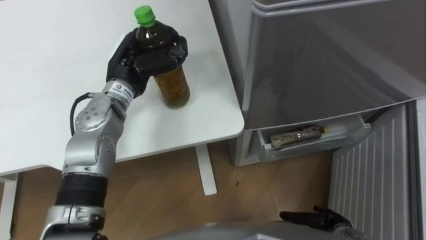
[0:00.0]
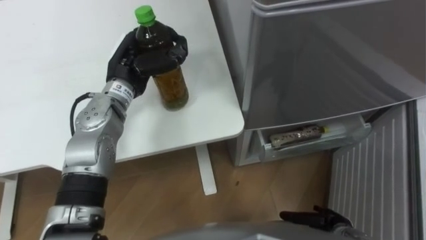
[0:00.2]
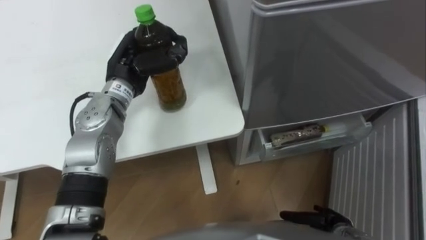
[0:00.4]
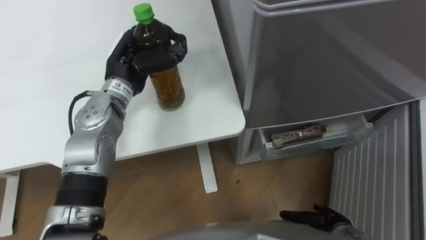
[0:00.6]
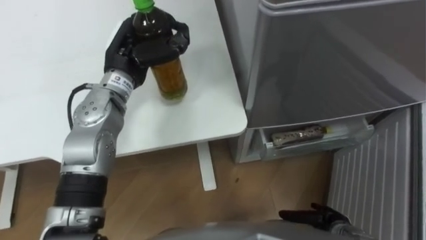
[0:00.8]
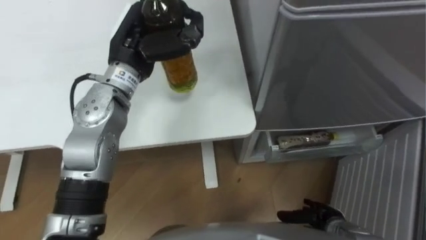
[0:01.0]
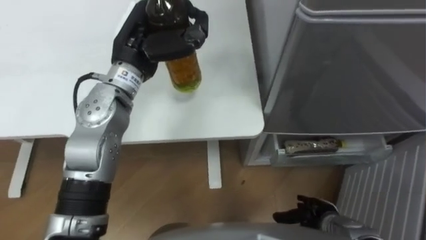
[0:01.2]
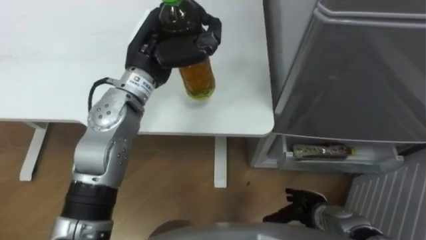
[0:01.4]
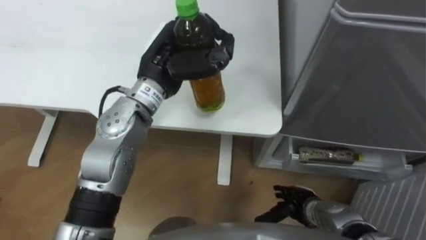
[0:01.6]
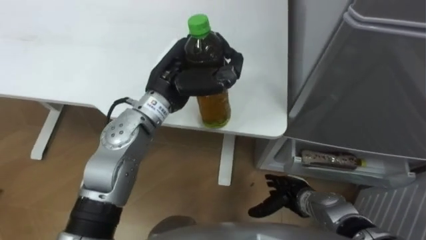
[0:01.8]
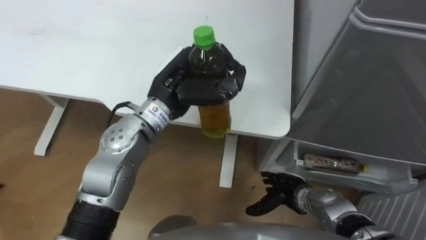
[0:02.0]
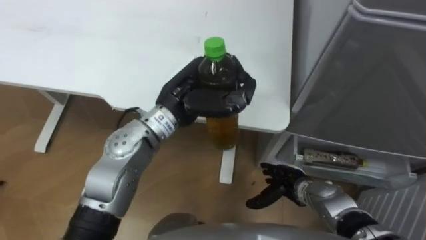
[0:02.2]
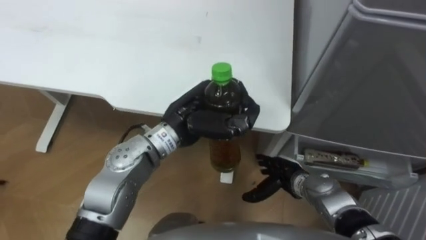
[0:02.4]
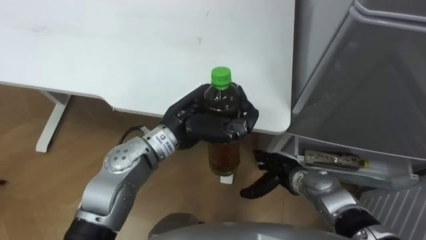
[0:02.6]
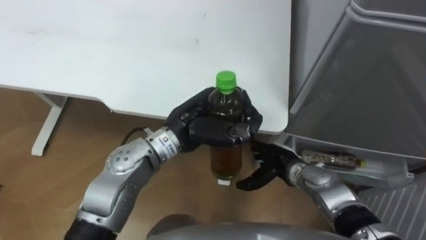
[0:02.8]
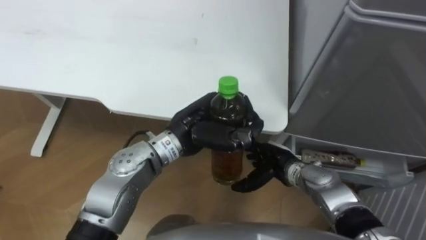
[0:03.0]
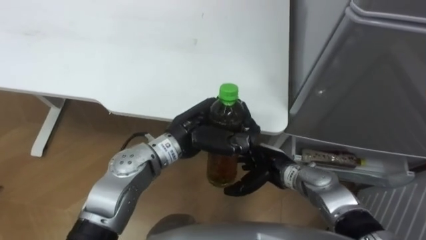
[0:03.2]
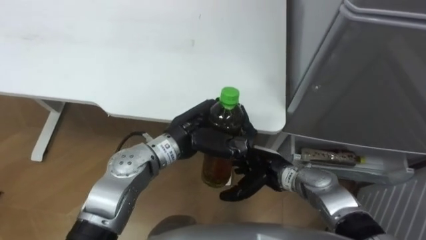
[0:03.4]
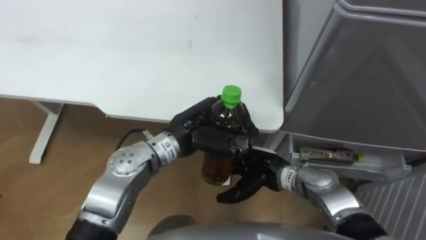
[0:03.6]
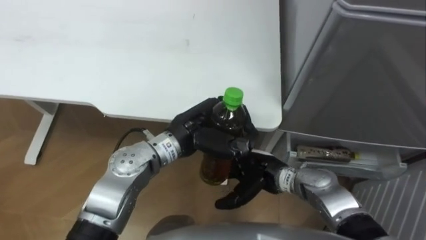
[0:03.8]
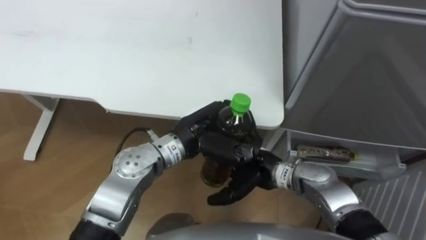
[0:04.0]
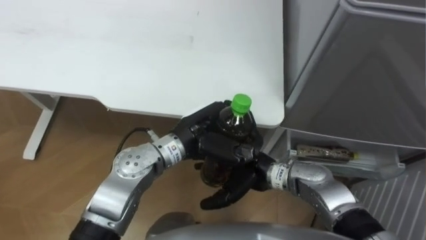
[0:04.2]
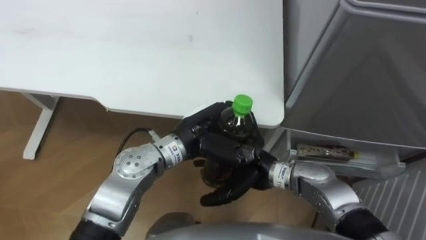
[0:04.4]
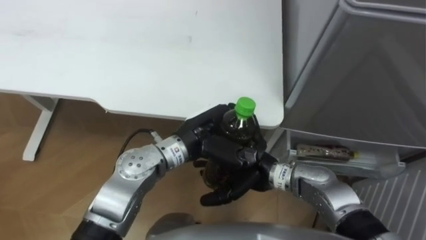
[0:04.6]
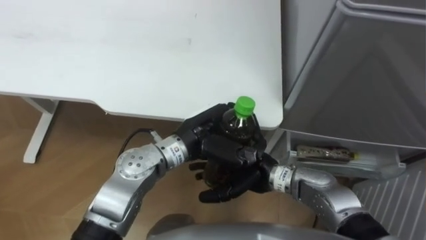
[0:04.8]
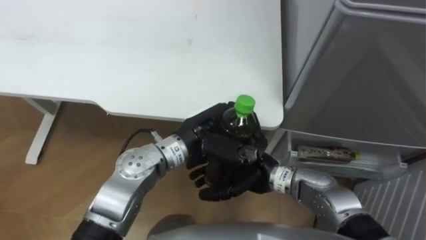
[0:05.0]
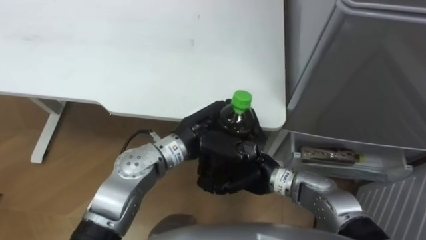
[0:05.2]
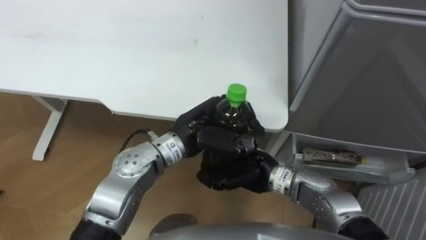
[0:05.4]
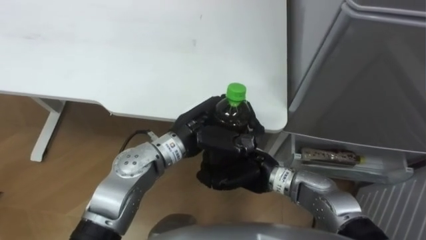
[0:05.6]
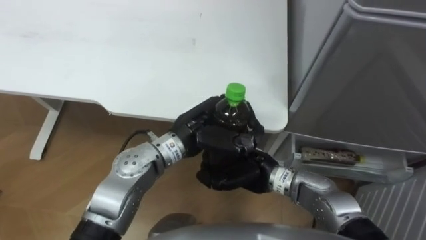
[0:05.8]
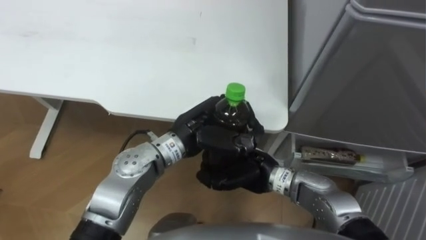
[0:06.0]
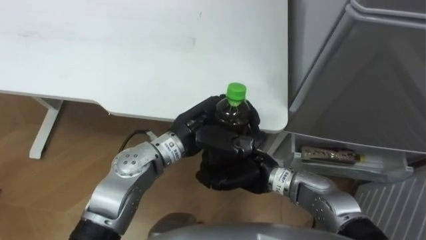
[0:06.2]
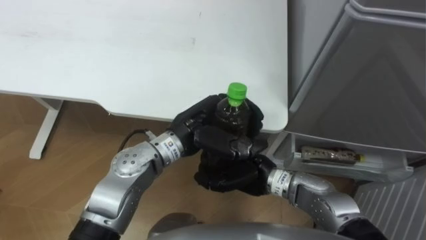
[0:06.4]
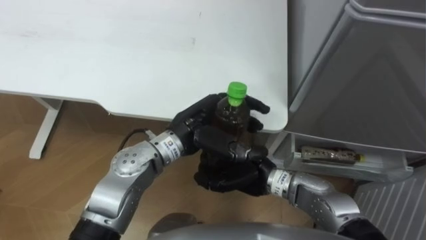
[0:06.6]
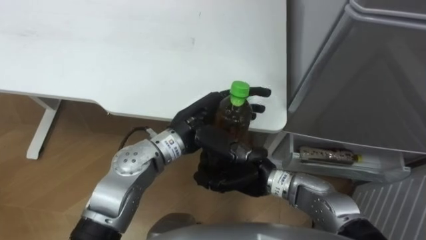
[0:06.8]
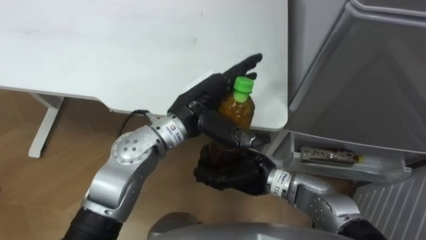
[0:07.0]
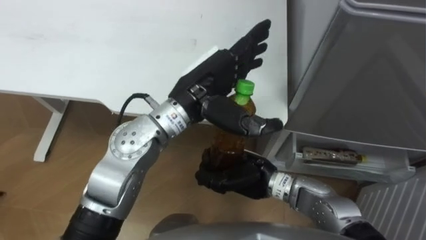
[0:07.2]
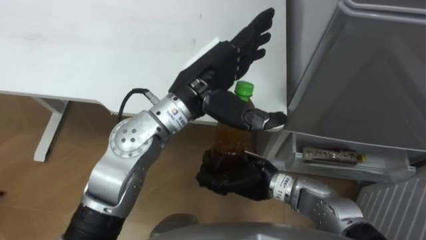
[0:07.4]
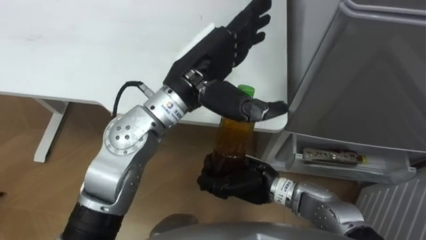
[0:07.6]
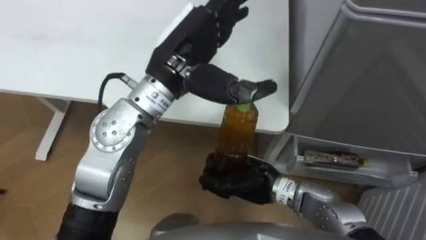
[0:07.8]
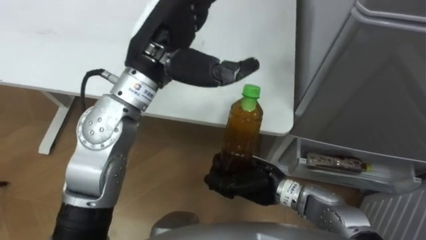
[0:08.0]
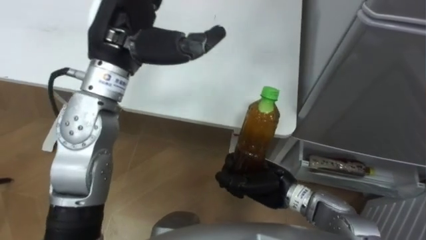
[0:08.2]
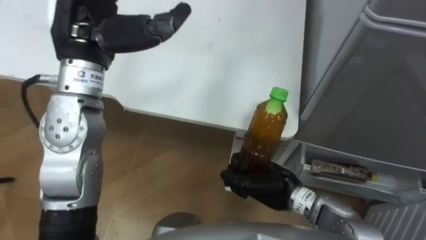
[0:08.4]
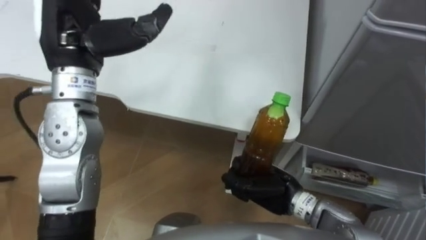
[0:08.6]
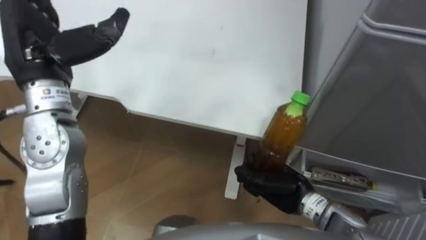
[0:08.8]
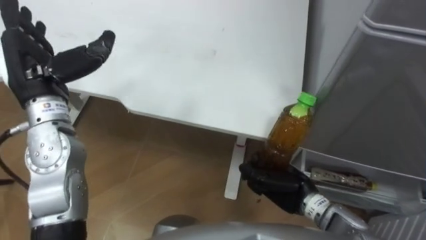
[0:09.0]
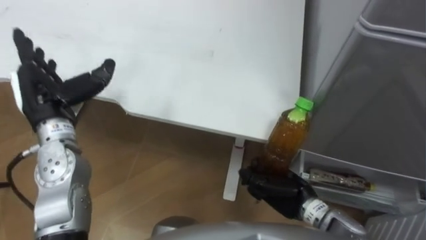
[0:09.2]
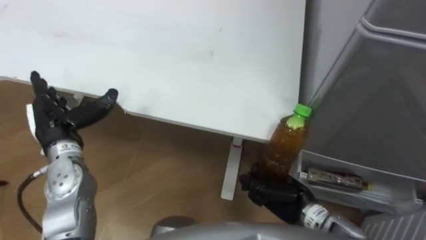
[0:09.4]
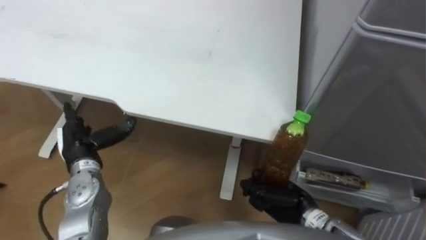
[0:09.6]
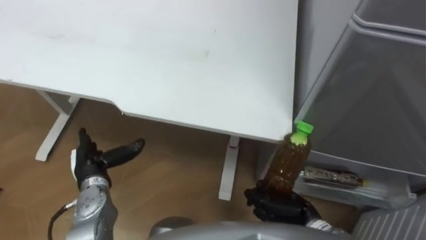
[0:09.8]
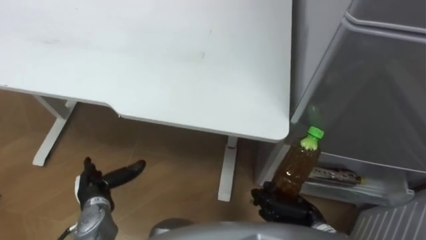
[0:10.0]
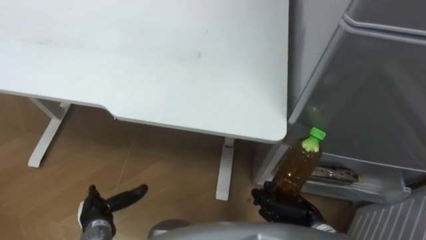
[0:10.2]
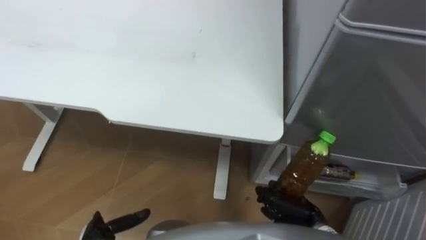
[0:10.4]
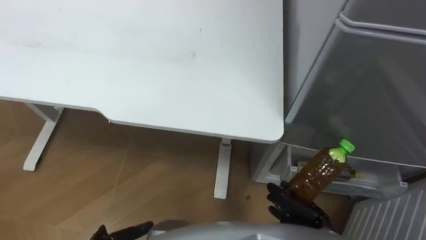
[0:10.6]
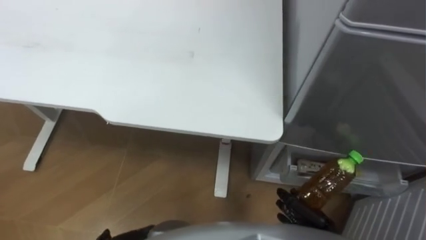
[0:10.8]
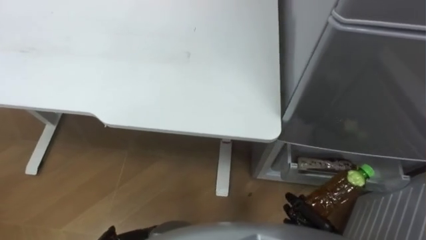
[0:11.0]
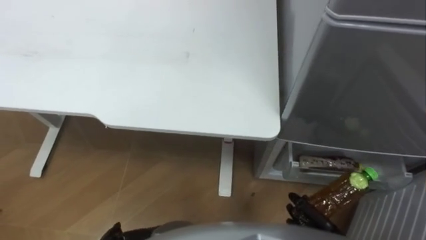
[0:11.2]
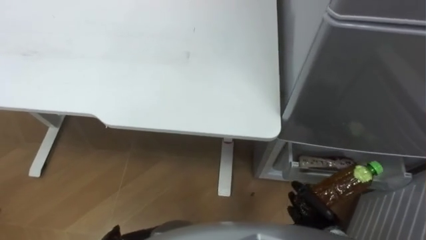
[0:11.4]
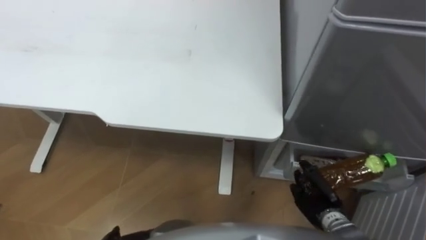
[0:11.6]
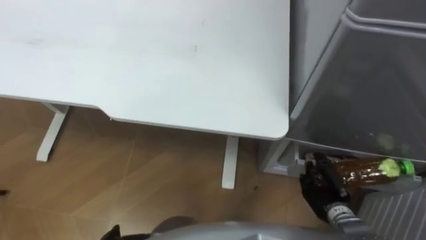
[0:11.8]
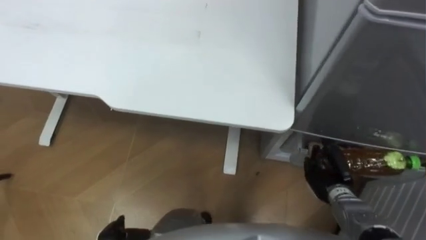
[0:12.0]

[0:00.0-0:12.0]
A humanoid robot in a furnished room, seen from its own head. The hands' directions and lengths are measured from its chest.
Task of the whole recording: Place the drink on the table on the bottom shelf of the refrigerator, then close the drawer and the refrigerator door.
0:00.0 to 0:01.6: The right hand shifts roughly 10 cm to the left and forward. The left hand moves to the right, some 5 cm.
0:01.6 to 0:03.0: The left hand travels backward and downward by roughly 10 cm; the right hand moves forward, upward and to the left, approximately 10 cm.
0:03.0 to 0:04.4: The right hand is displaced to the left and upward by approximately 10 cm.
0:04.4 to 0:06.0: The right hand closes.
0:06.0 to 0:07.6: The left hand heads upward, covering roughly 10 cm, and opens up.
0:07.6 to 0:09.0: The left hand is displaced to the left by roughly 25 cm. Meanwhile the right hand travels to the right by about 10 cm.
0:09.0 to 0:10.4: The left hand travels downward and backward by roughly 40 cm. The right hand shifts roughly 10 cm backward and downward.
0:10.4 to 0:12.0: The right hand heads to the right and forward, covering about 10 cm.

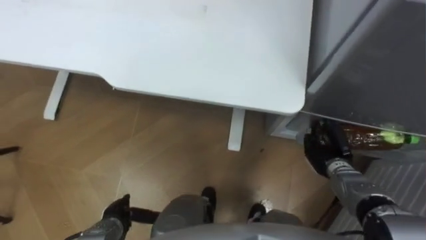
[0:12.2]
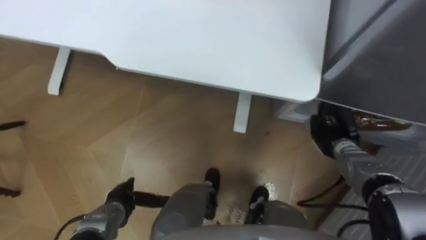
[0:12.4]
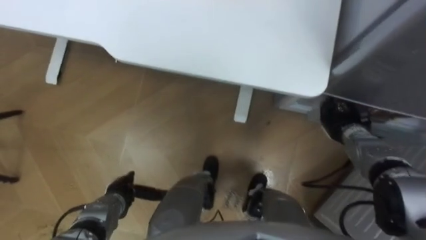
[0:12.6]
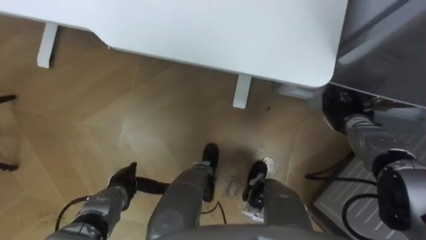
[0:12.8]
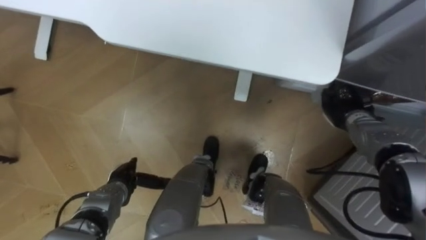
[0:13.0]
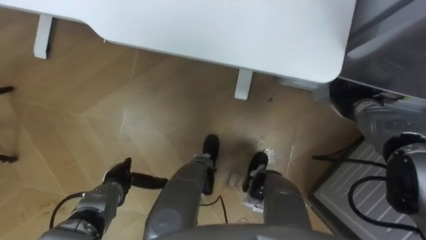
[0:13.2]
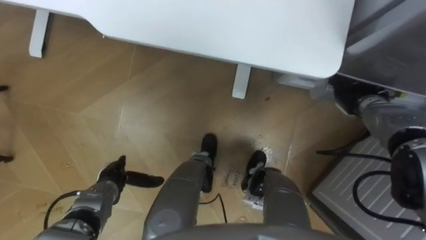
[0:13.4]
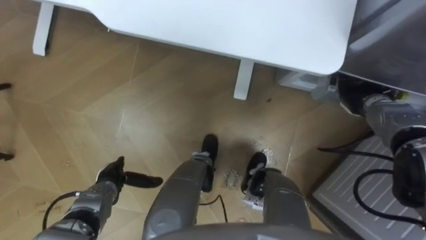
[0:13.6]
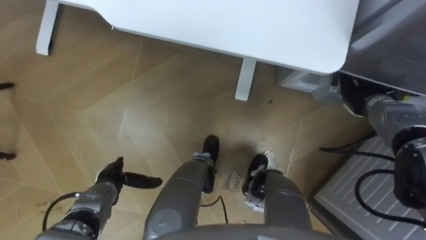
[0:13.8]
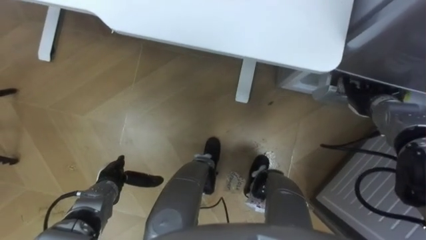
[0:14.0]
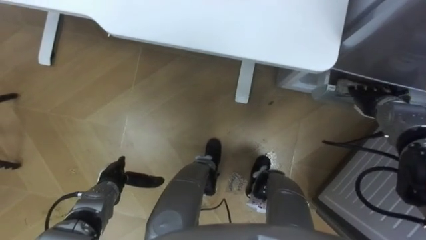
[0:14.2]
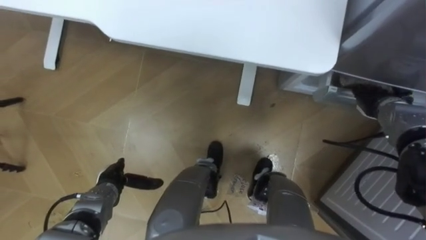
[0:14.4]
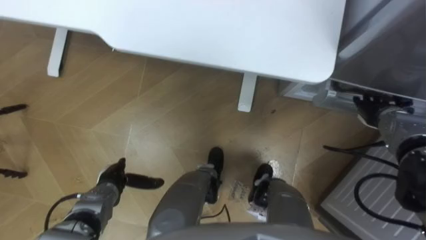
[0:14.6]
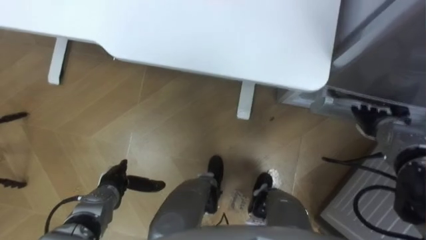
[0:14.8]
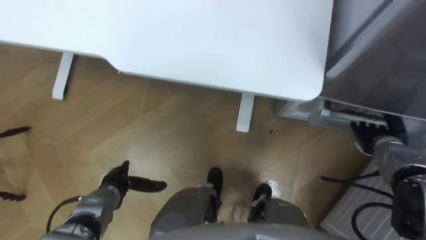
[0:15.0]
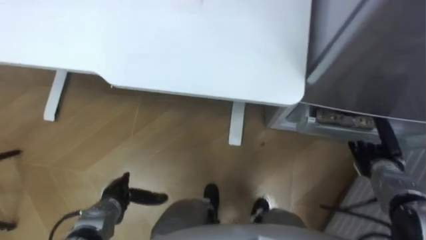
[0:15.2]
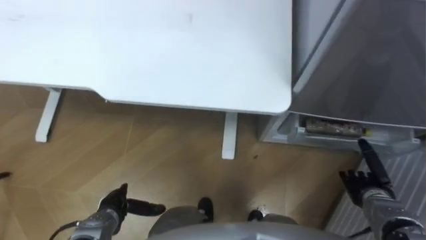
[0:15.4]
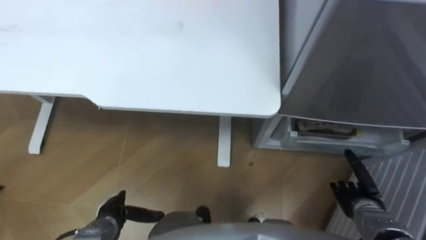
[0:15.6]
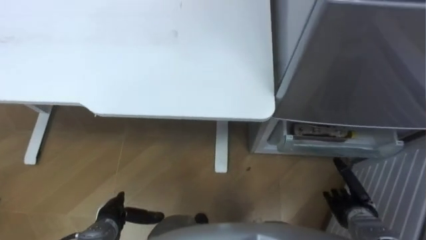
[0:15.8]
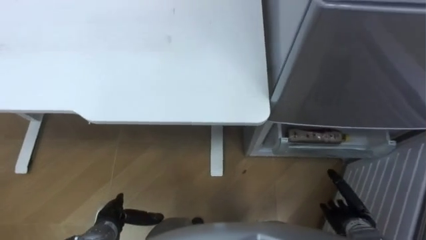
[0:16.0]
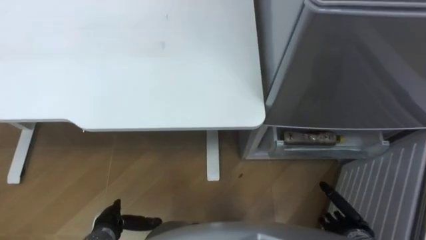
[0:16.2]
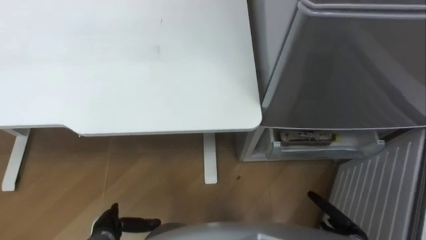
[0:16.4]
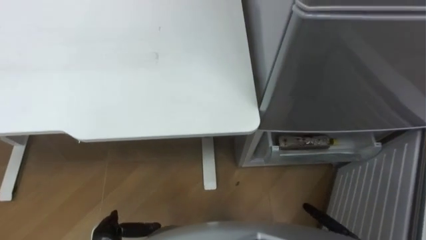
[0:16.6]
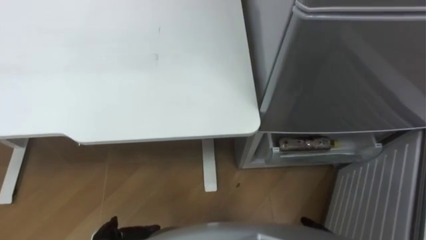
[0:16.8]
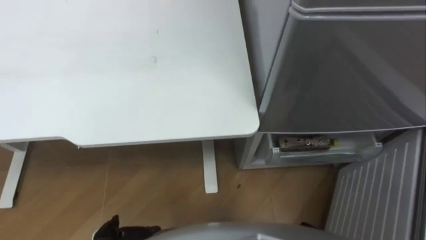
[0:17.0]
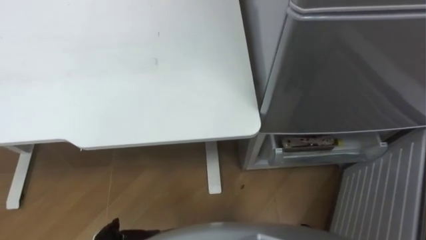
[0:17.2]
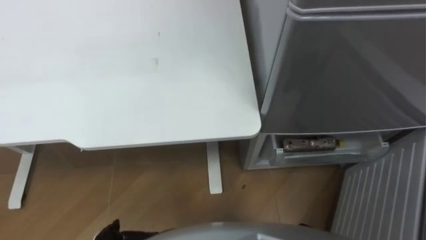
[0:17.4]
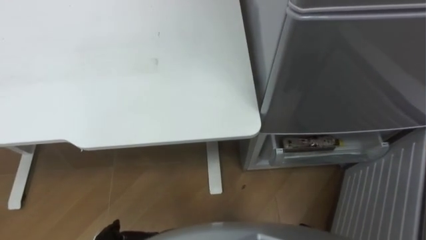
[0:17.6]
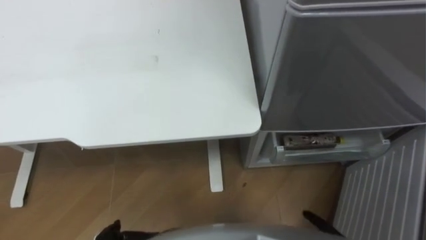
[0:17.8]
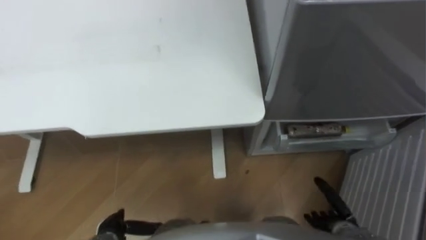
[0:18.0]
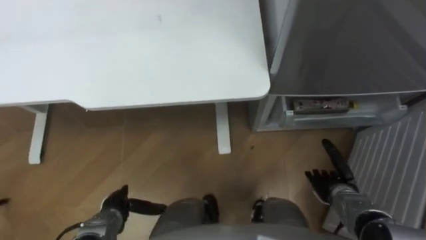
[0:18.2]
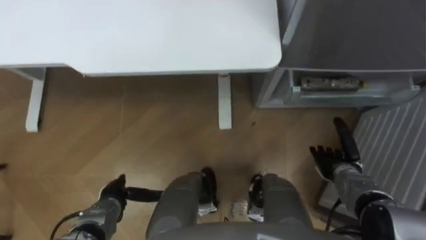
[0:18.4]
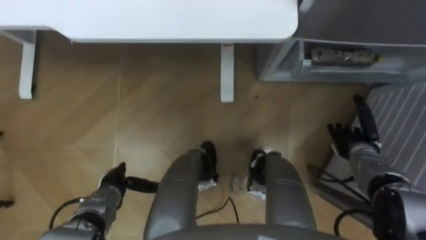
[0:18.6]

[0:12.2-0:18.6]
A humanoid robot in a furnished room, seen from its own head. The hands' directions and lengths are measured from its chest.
Task of the whole recording: Place the drink on the table on the bottom shelf of the refrigerator, then close the drawer and the refrigerator door.
0:12.2 to 0:13.8: The right hand heads forward, upward and to the right, covering some 15 cm, and opens up. The left hand goes some 10 cm forward.
0:13.8 to 0:15.4: The left hand shifts approximately 5 cm backward. The right hand travels backward and downward by approximately 20 cm.
